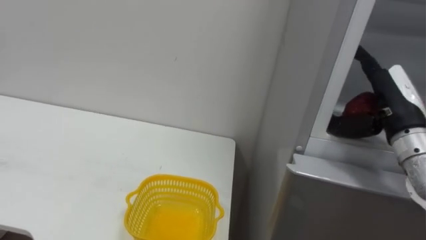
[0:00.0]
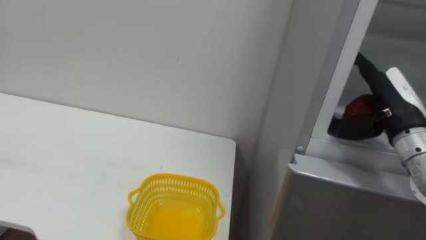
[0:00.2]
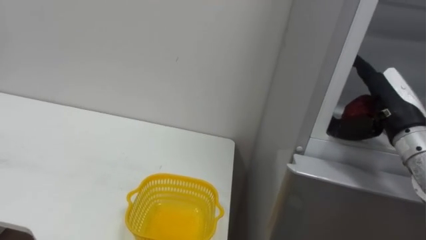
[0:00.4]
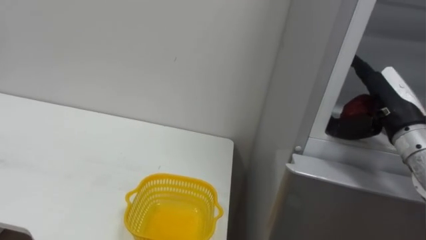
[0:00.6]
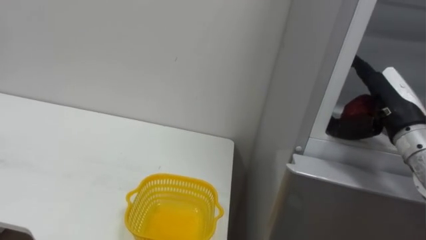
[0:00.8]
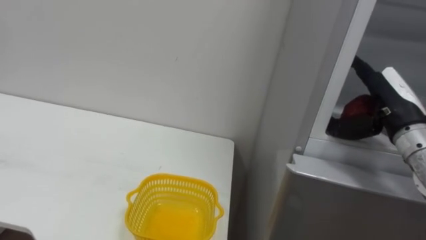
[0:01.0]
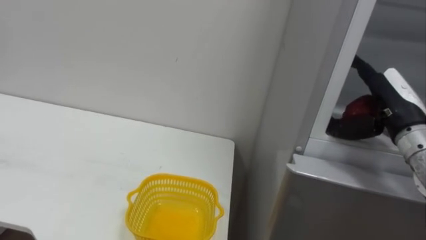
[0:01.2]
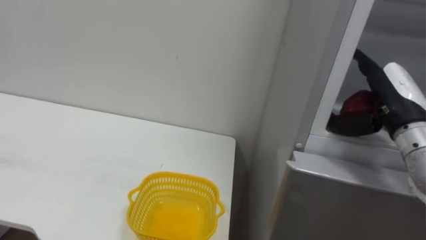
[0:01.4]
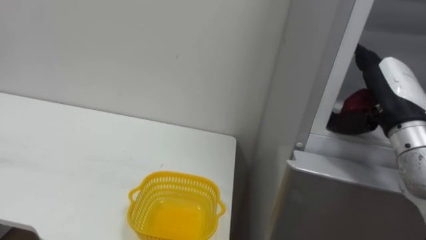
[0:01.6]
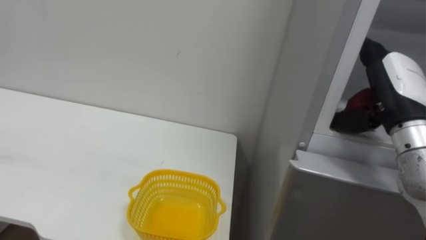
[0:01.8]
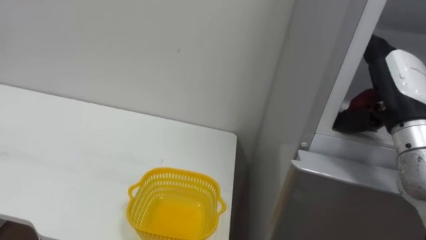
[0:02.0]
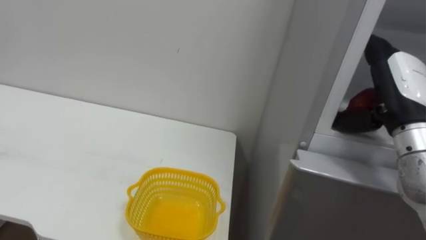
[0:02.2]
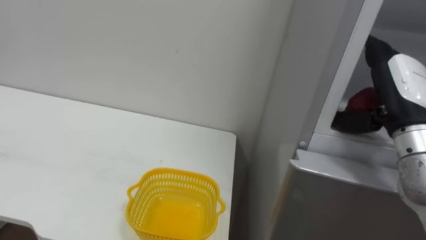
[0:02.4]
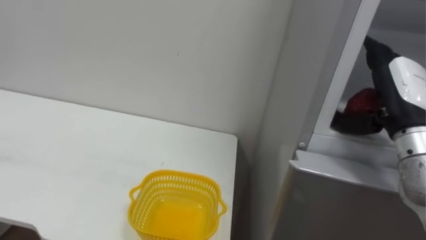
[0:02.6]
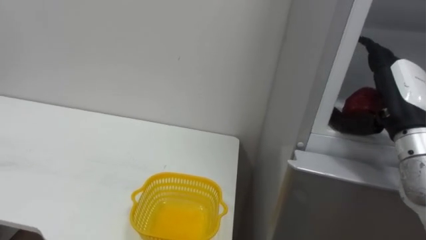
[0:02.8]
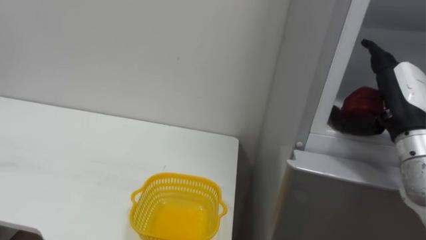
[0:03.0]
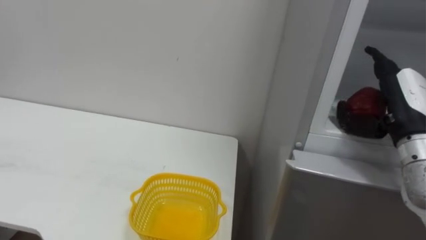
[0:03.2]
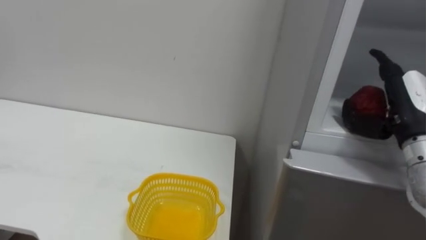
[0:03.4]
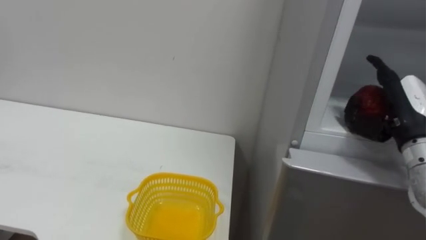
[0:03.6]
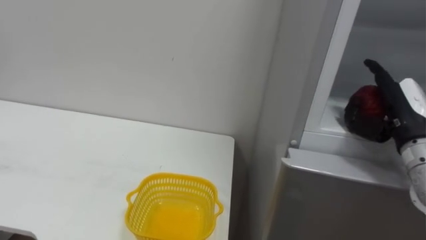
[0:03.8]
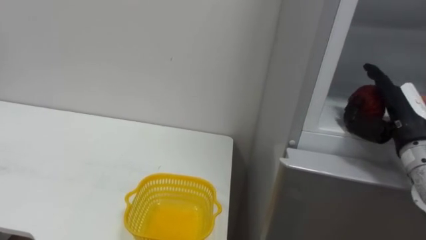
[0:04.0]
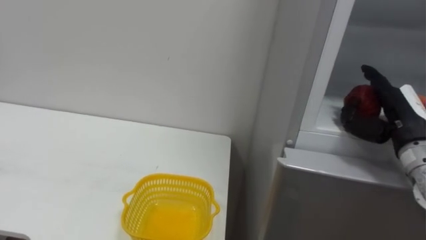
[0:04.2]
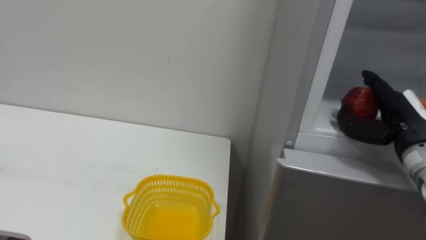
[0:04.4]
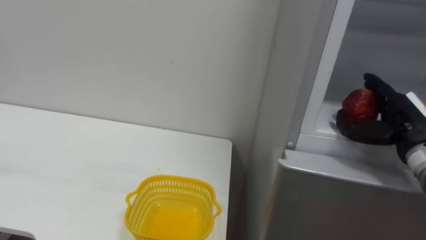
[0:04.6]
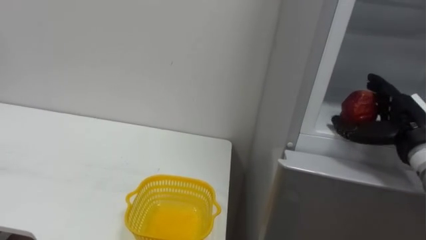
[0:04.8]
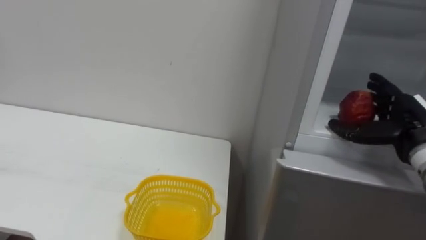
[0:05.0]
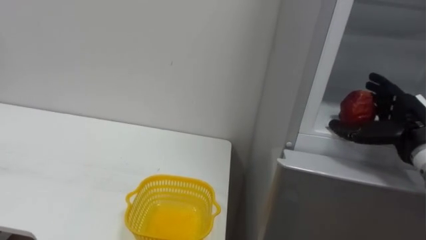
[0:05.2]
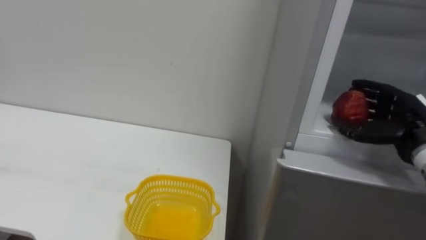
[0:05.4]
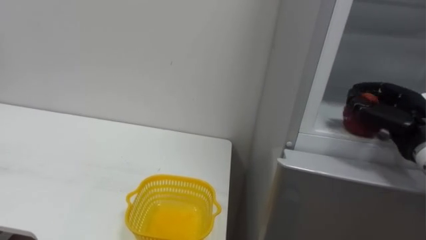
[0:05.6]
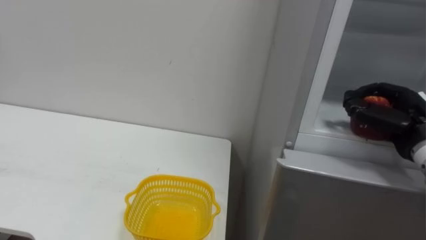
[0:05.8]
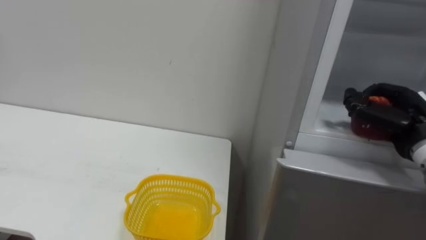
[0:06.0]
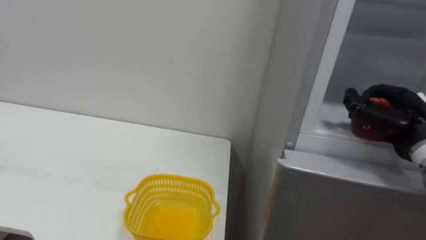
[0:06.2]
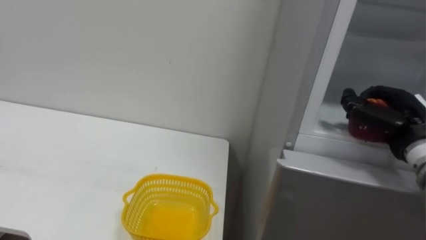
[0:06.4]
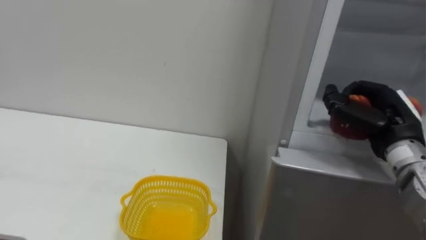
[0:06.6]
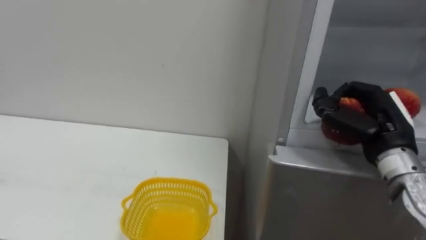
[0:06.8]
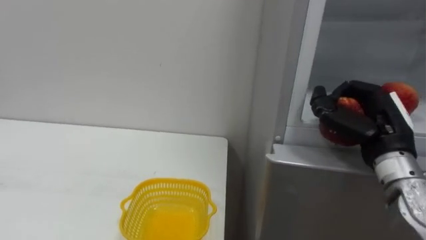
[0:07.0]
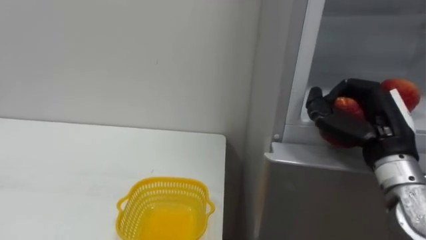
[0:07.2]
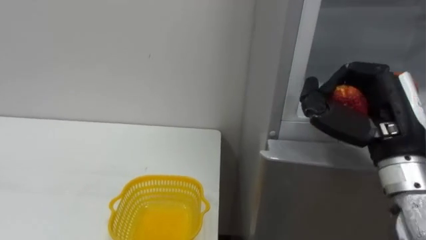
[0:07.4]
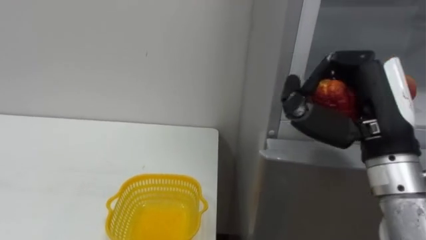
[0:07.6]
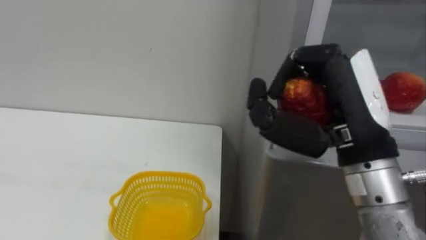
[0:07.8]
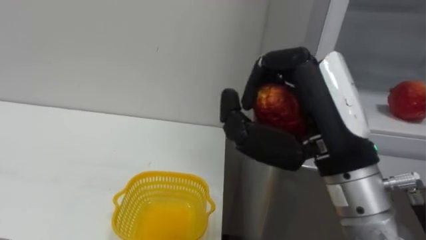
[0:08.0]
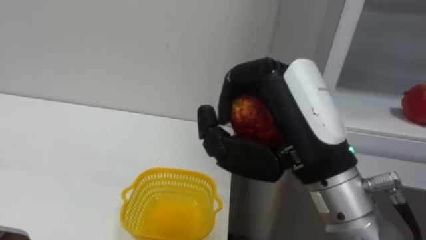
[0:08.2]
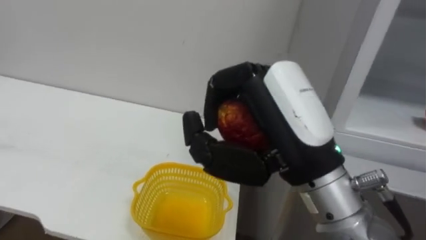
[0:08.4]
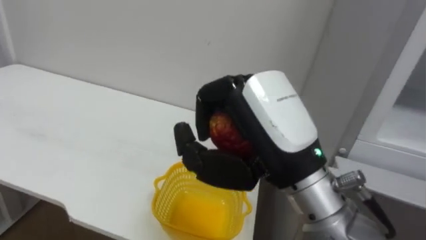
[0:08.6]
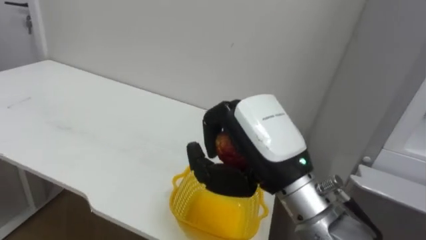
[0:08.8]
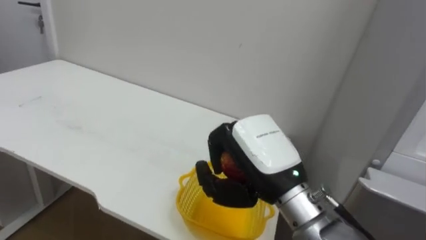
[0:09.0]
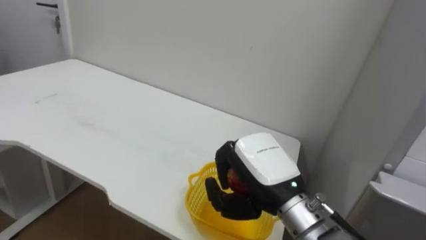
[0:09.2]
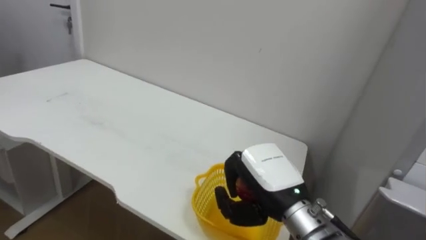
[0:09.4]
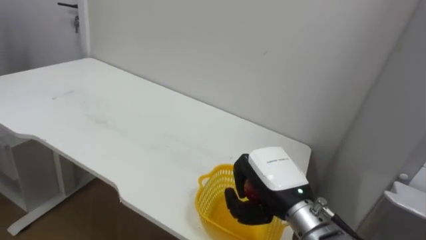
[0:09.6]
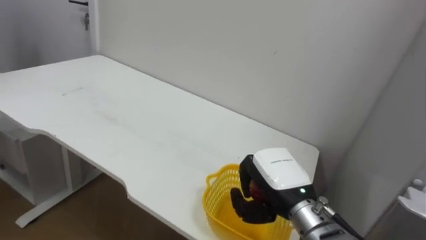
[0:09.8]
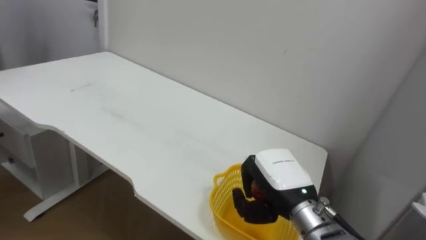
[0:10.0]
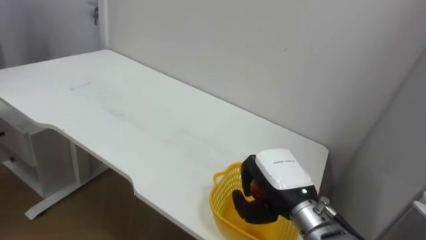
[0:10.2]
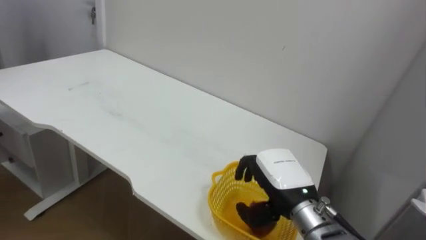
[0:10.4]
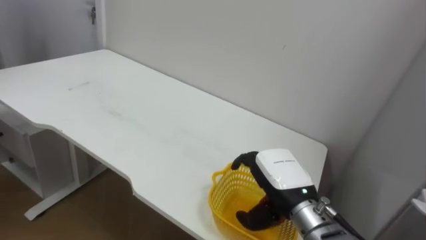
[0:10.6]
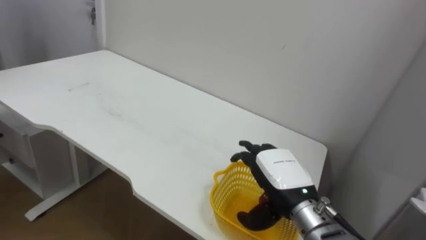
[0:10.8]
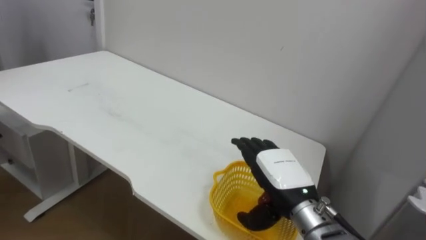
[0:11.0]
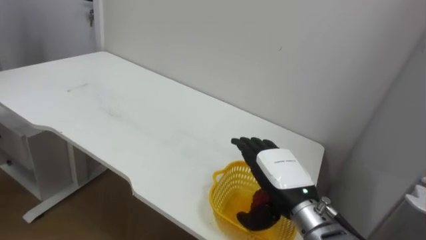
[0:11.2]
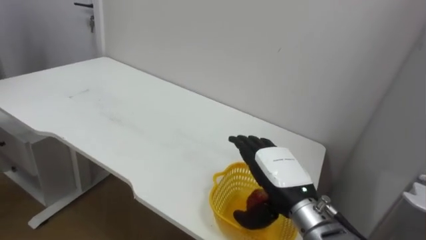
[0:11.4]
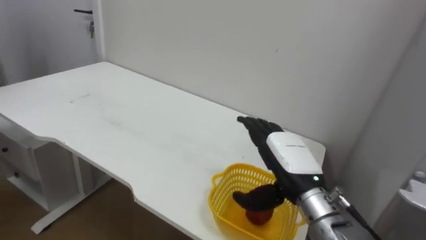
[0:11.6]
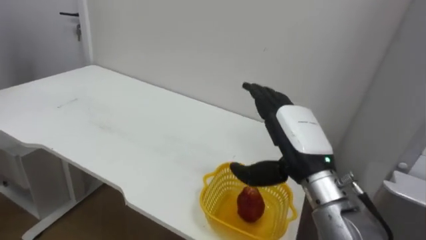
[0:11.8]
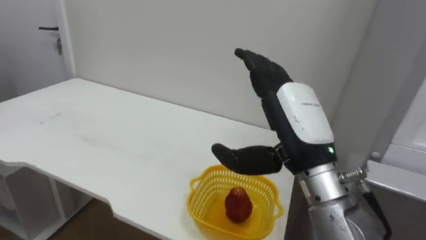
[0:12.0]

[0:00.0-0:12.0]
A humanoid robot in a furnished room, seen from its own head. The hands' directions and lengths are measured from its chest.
Task of the whole recording: Open the refrigerator door, take out the apple and the pomegranate, place them in the fruit basket on the left, and close the refrigerator door.
0:03.0 to 0:04.4: The right hand moves roughly 5 cm.
0:04.4 to 0:06.0: The right hand closes up.
0:06.0 to 0:07.6: The right hand goes some 15 cm to the left, backward and upward.
0:07.6 to 0:09.0: The right hand heads to the left and downward, covering some 15 cm.
0:09.0 to 0:10.4: The right hand shifts roughly 10 cm downward.
0:10.4 to 0:12.0: The right hand shifts approximately 15 cm upward, and opens.

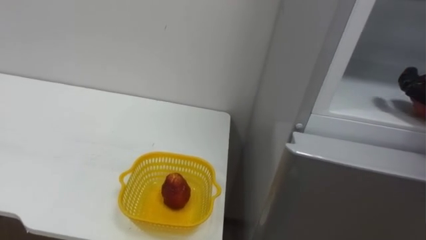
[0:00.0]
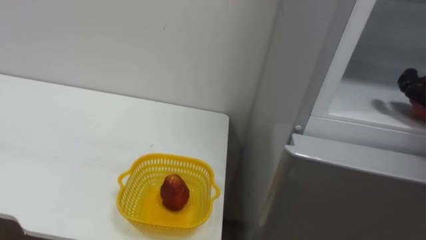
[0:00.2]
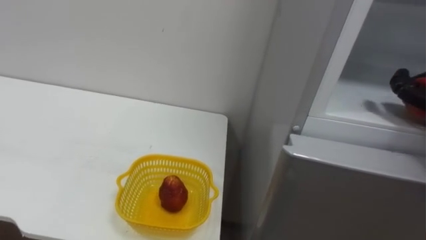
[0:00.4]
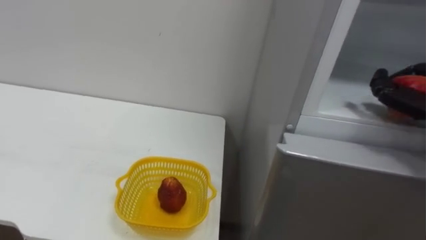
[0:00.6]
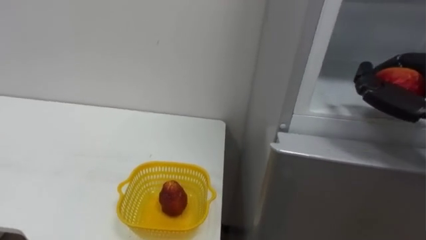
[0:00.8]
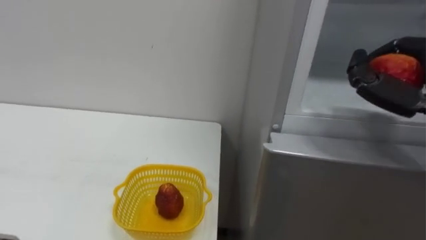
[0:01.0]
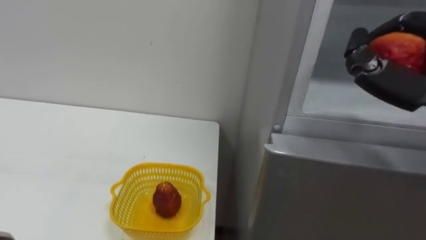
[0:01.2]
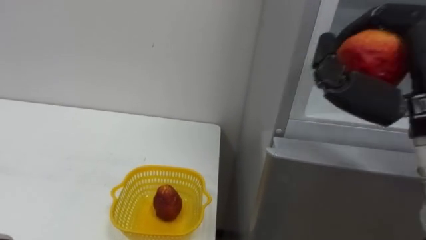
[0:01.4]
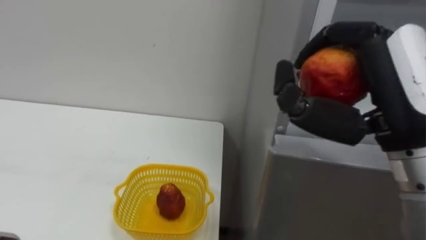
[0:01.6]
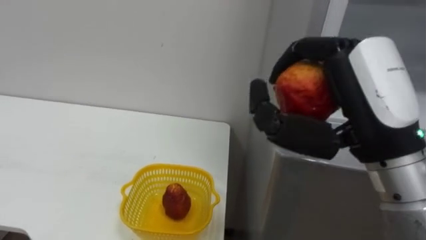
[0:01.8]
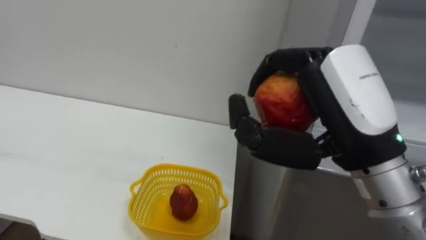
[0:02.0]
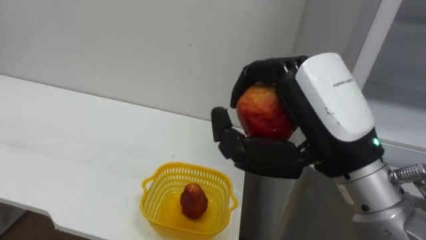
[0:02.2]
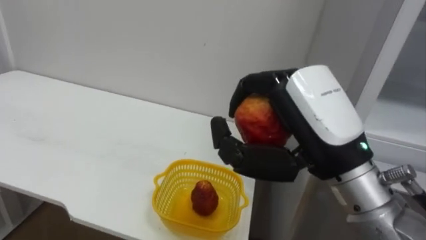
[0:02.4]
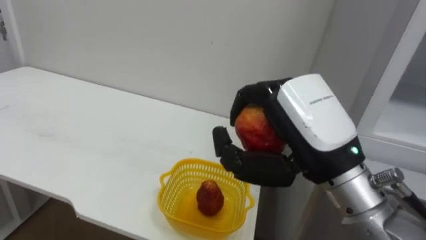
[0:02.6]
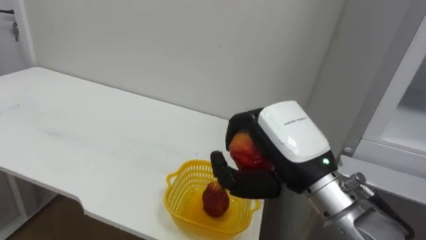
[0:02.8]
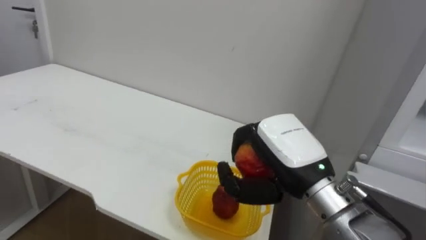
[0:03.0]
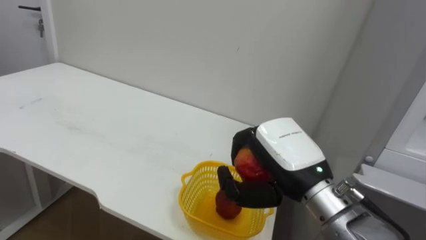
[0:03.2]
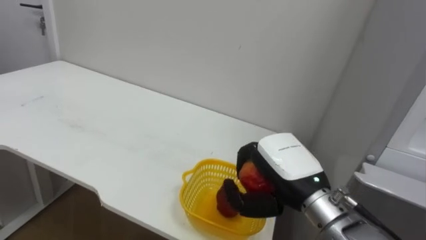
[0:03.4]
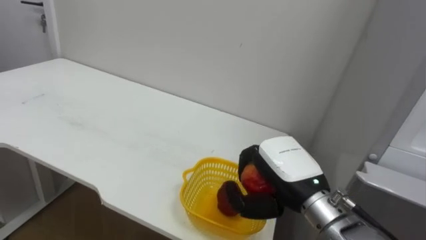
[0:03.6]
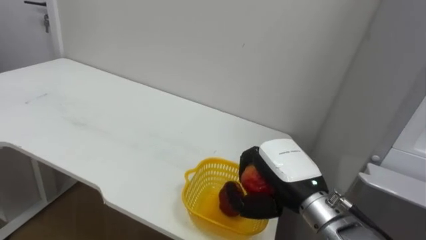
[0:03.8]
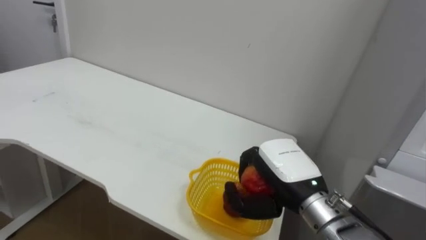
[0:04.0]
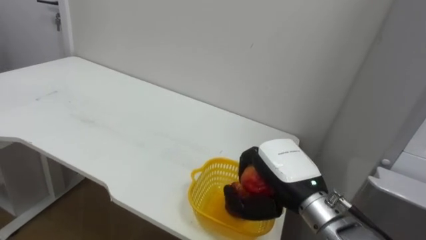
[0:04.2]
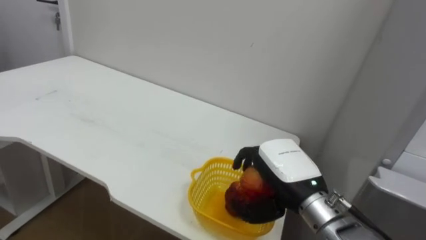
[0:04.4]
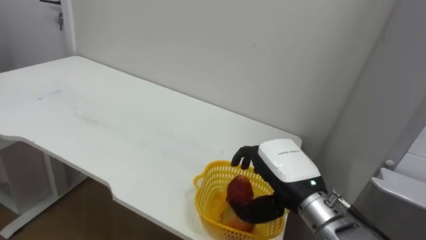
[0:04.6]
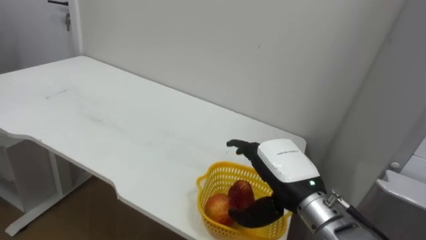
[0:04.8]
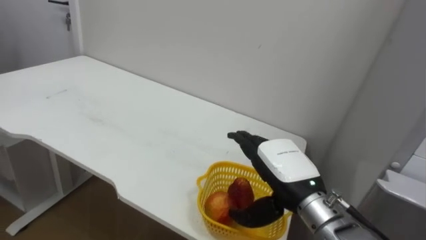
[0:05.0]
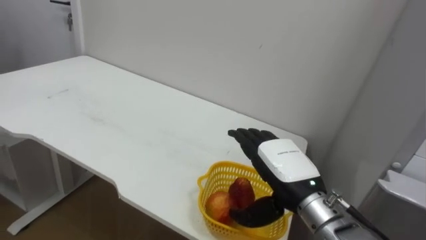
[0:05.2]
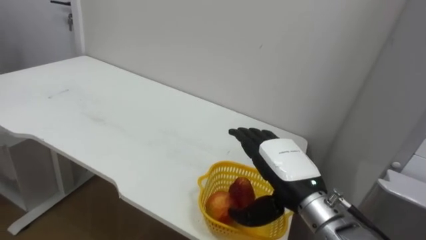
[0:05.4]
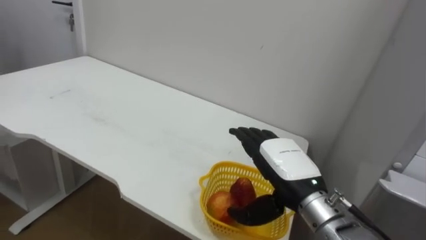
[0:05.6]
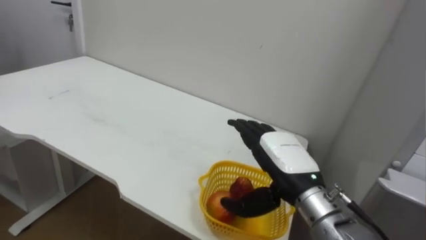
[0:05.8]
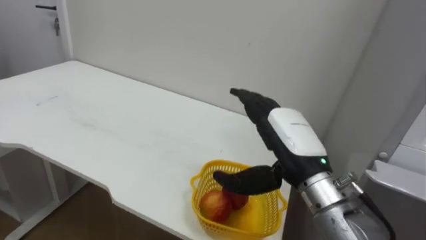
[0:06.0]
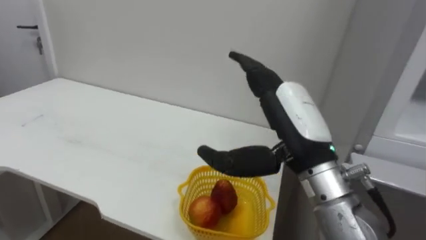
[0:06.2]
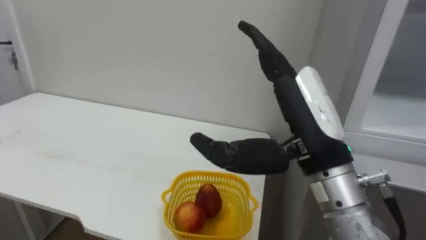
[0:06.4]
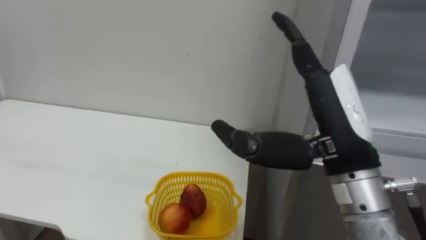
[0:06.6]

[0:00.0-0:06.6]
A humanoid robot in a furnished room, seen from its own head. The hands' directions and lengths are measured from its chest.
Task of the whole recording: Open the refrigerator door, take out the apple and the pomegranate, place them in the fruit basket on the left, and close the refrigerator door.
0:01.6 to 0:03.2: The right hand heads downward, to the left and forward, covering some 15 cm.
0:03.2 to 0:05.0: The right hand moves downward, roughly 5 cm, and opens its fingers.
0:05.0 to 0:06.6: The right hand heads upward and backward, covering approximately 15 cm.
